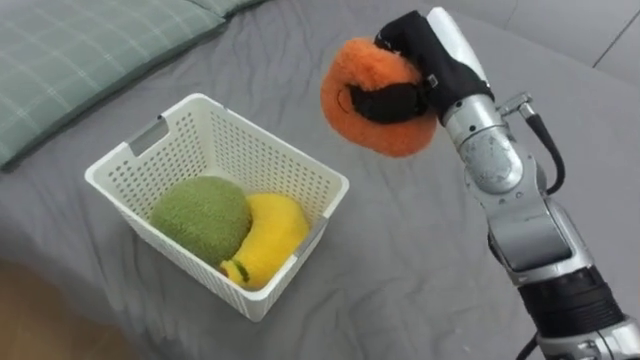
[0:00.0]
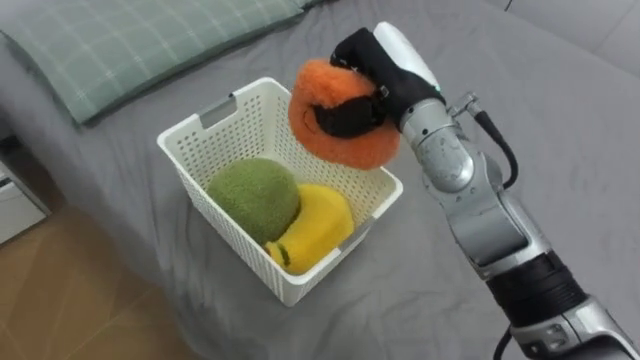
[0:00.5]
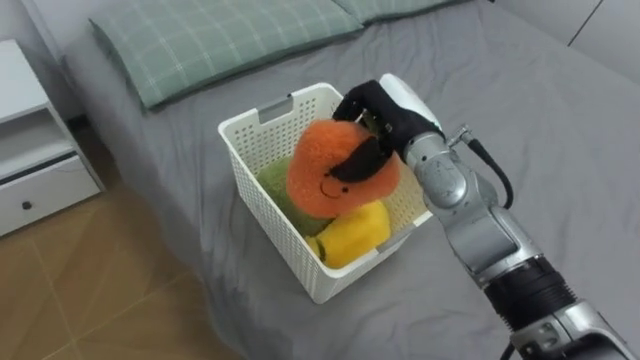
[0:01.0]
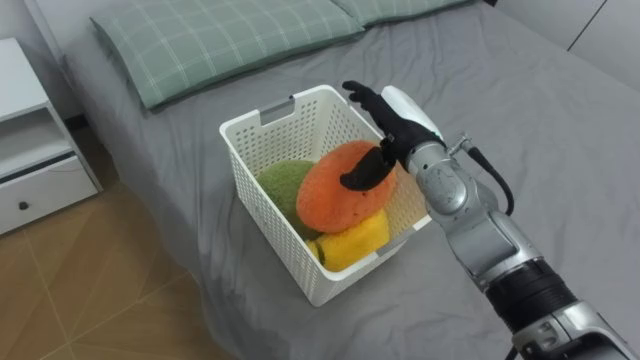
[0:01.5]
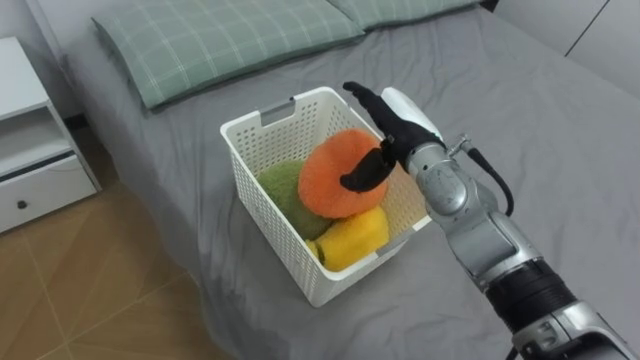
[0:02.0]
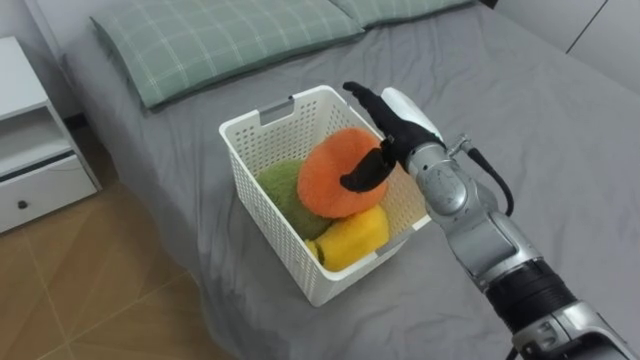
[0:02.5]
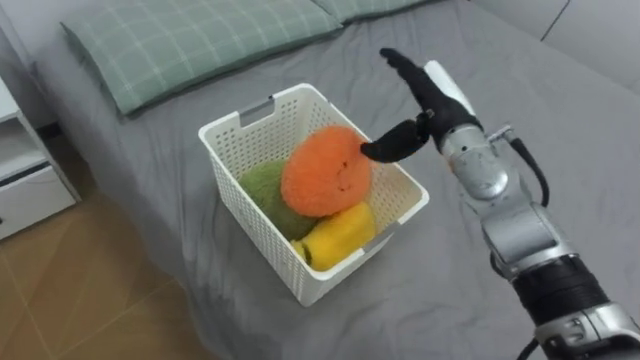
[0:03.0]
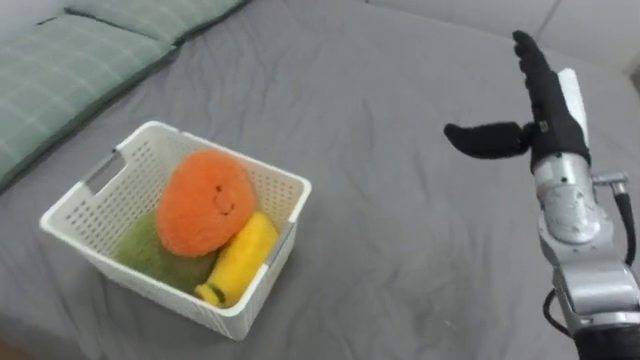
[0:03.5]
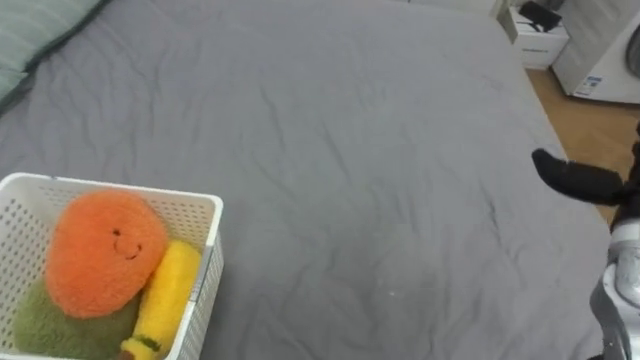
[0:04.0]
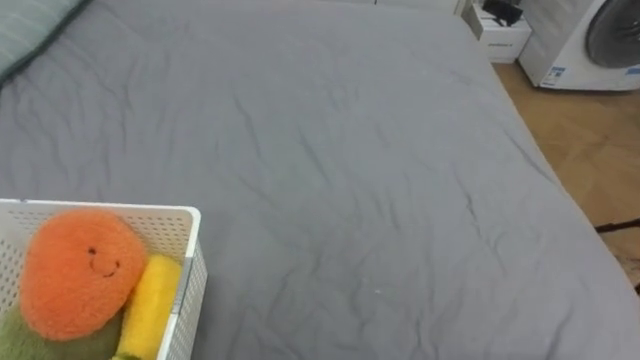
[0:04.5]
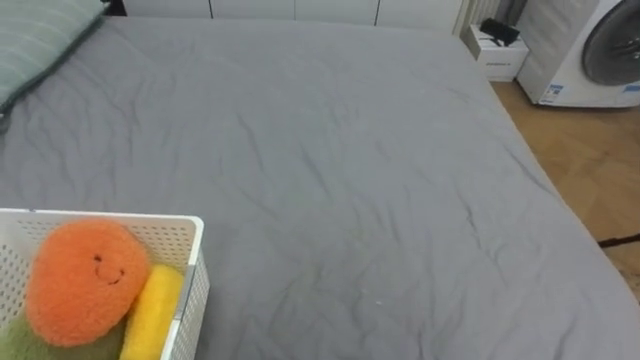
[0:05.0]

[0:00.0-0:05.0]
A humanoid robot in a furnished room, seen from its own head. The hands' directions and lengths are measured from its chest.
Task of the whole recording: Put the toys on the bed into the basket on the left.
0:00.0 to 0:02.5: The right hand shifts roughly 10 cm downward, and opens its fingers.

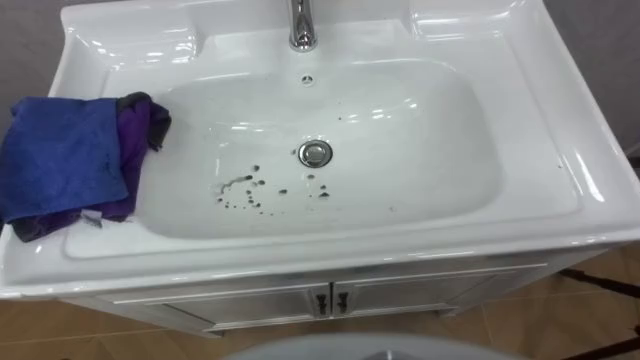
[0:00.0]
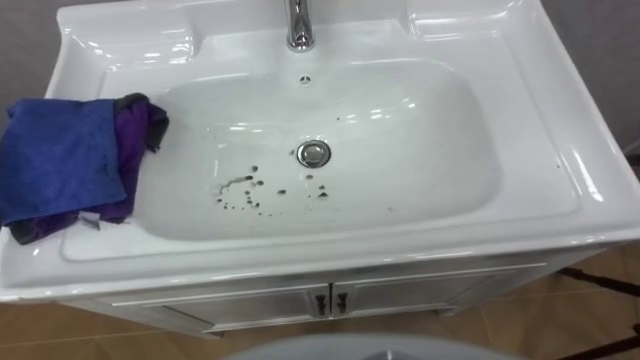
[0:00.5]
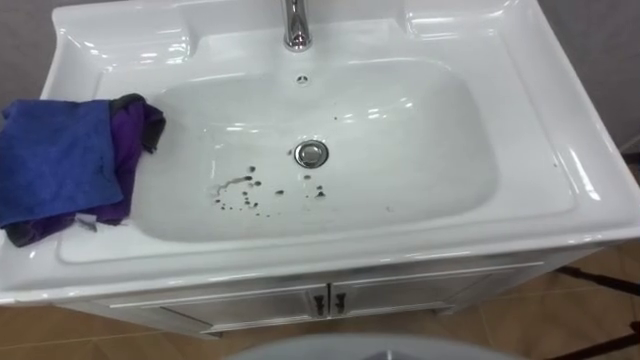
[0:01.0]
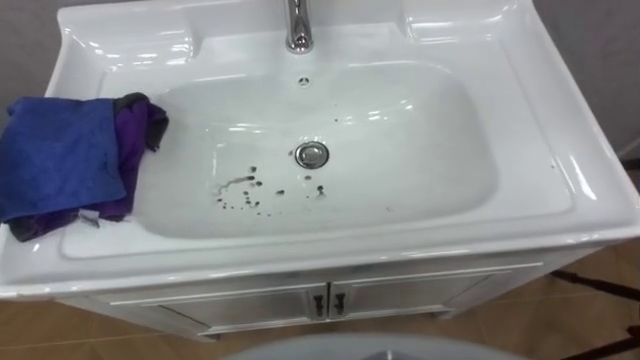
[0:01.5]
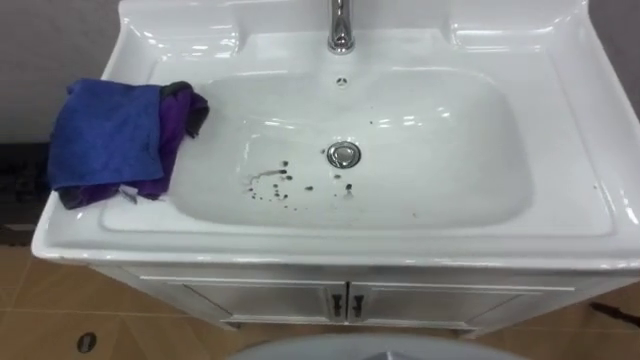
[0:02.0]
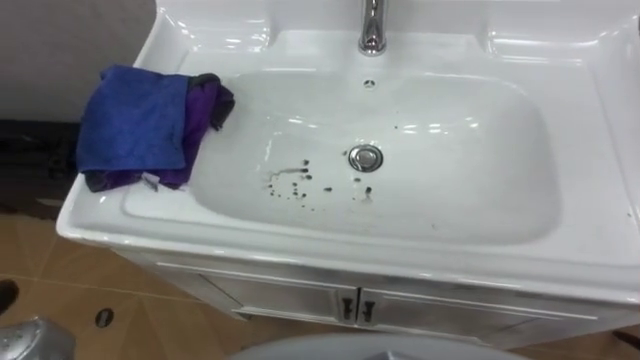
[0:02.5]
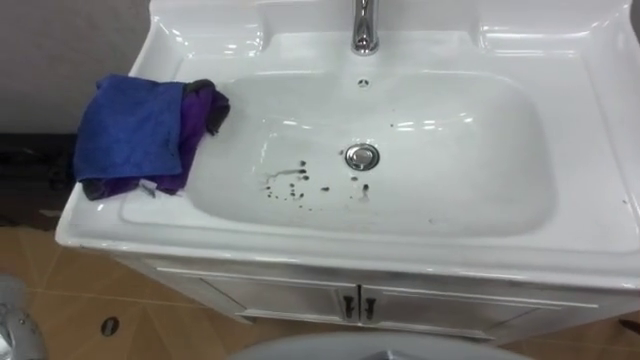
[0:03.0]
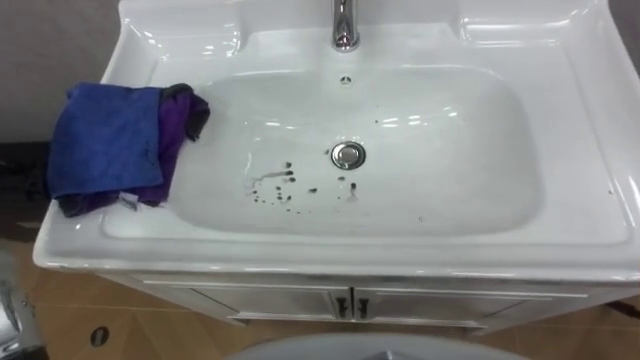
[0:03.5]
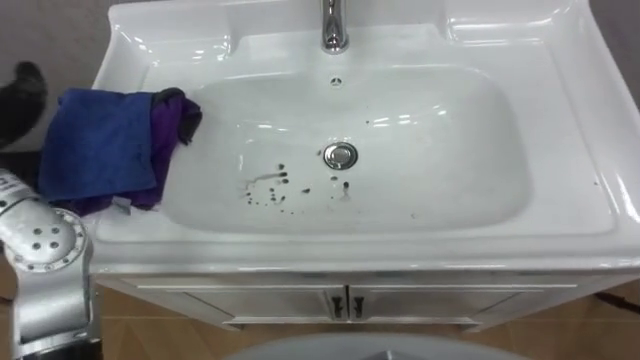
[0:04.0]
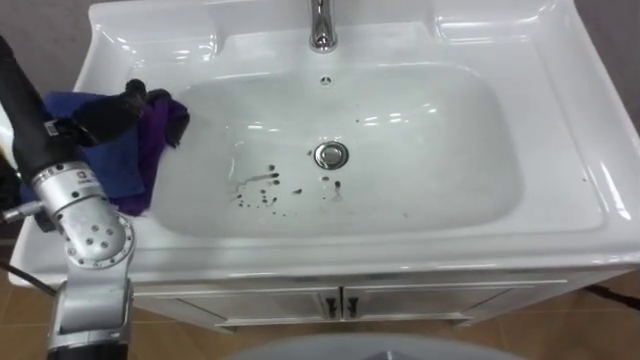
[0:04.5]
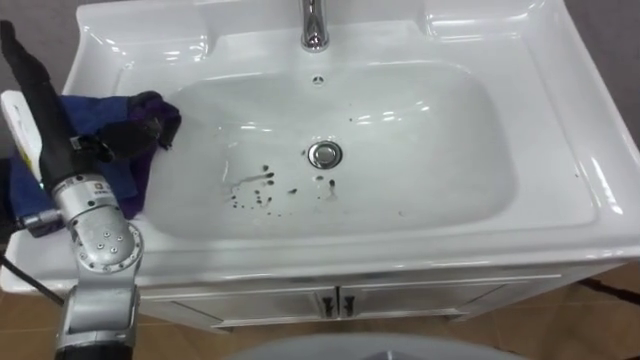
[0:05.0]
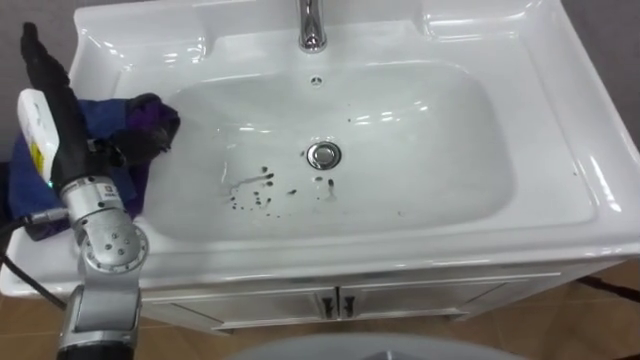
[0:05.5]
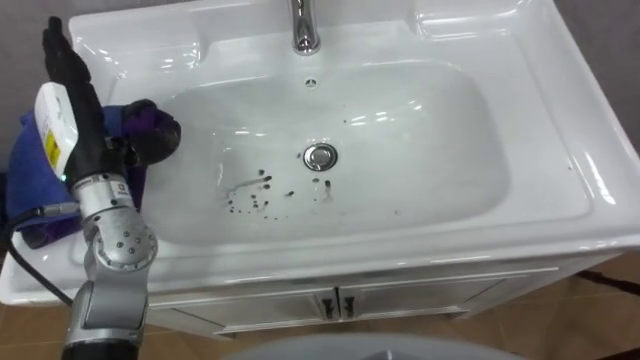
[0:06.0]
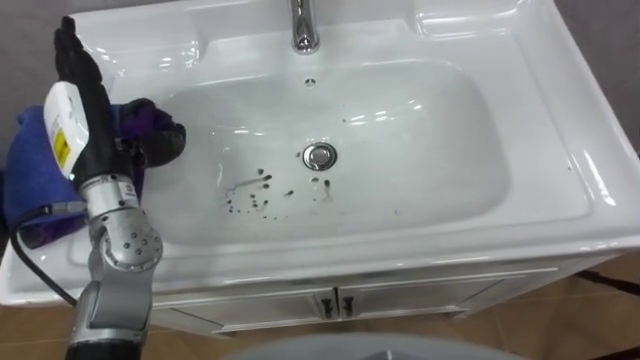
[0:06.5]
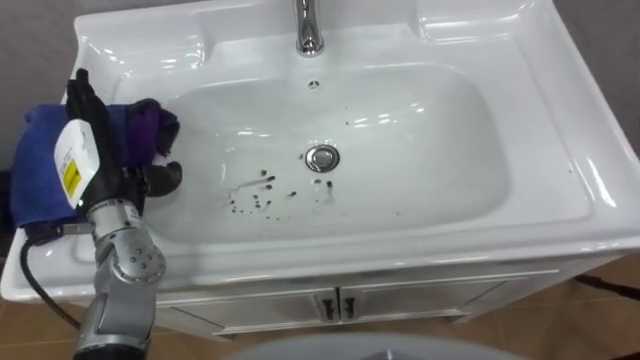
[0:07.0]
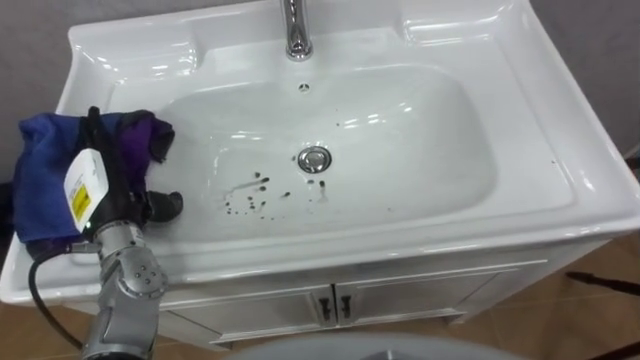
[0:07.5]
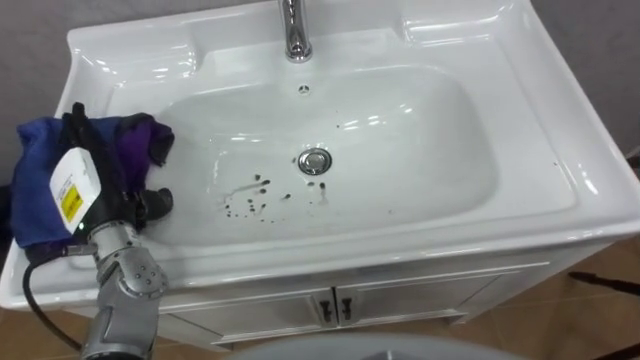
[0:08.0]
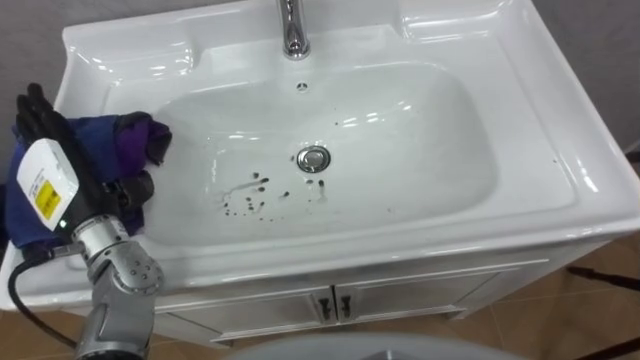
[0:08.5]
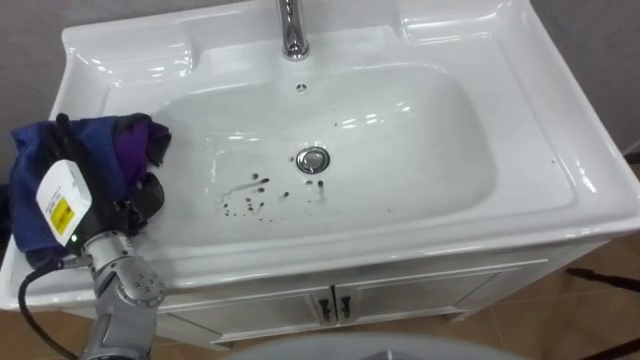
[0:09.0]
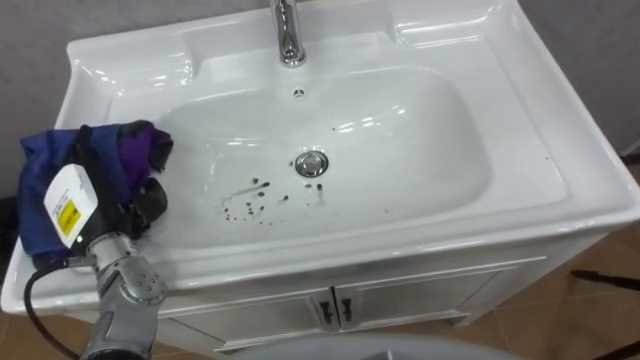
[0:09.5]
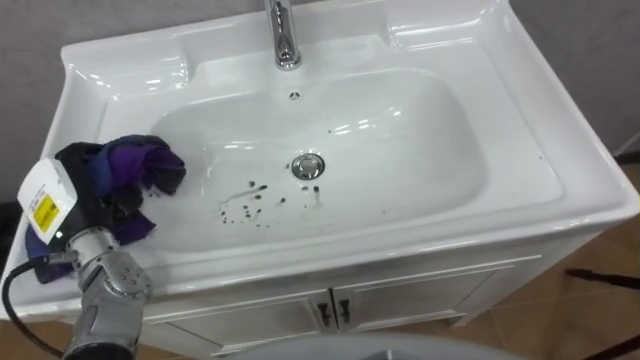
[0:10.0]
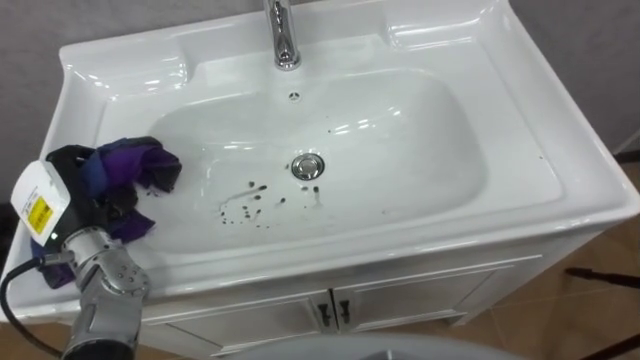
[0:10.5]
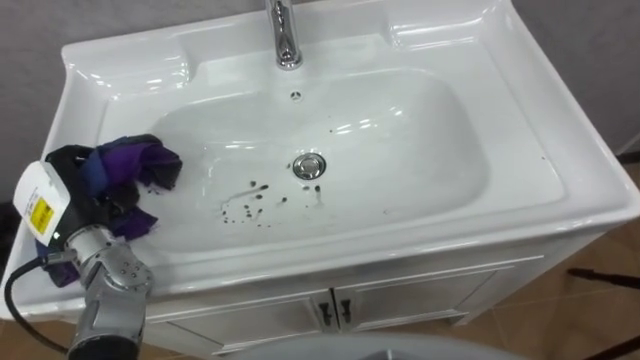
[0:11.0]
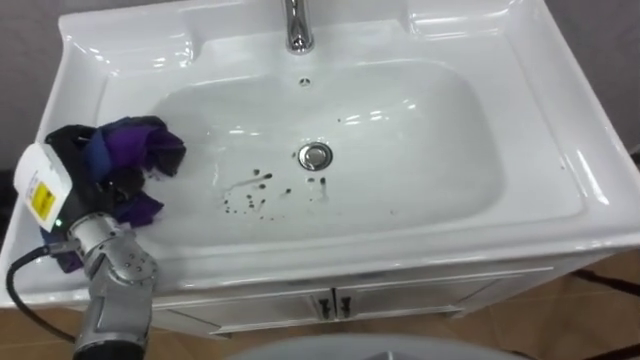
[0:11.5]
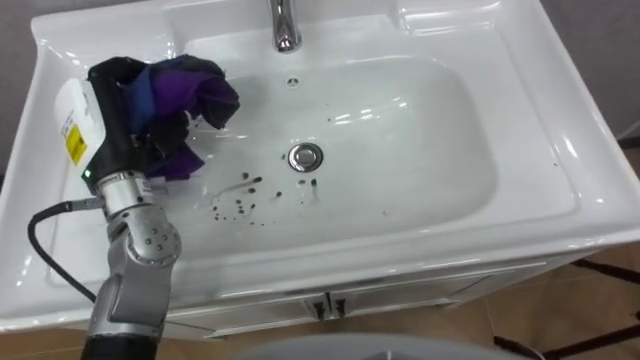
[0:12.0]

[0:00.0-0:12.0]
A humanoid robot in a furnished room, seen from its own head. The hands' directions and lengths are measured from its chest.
Task of the whole recording: Use the cloth on the right to wipe away the black stain in the sink.
0:06.0 to 0:08.0: The left hand heads downward, covering approximately 10 cm.
0:08.0 to 0:10.0: The left hand closes.
0:10.0 to 0:12.0: The left hand heads upward, to the right and forward, covering about 15 cm.

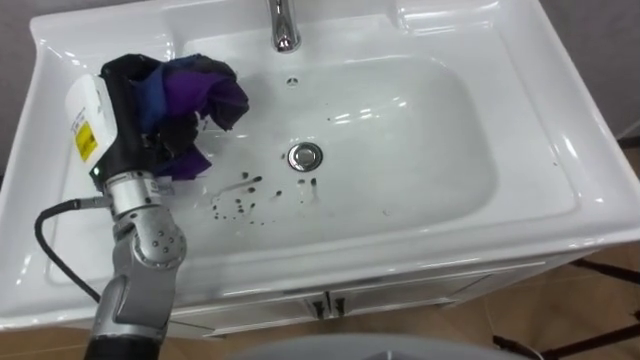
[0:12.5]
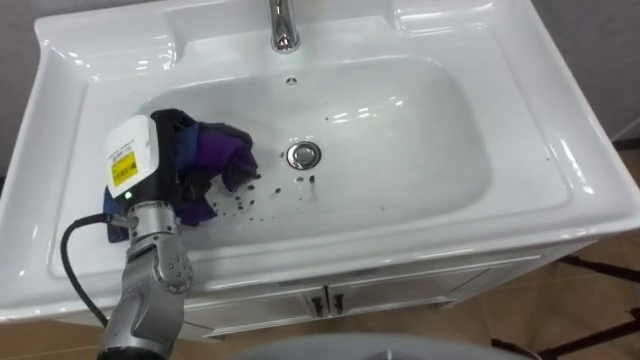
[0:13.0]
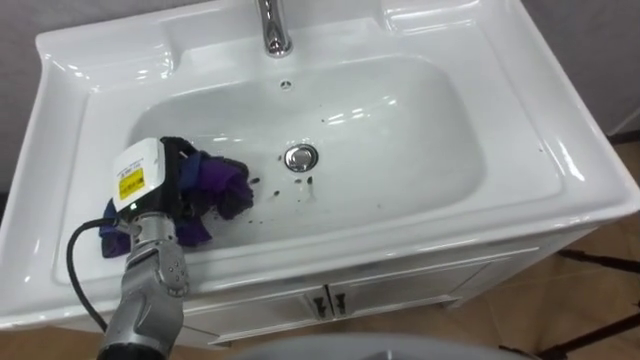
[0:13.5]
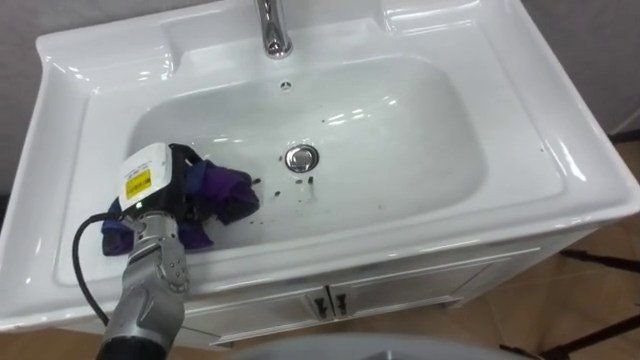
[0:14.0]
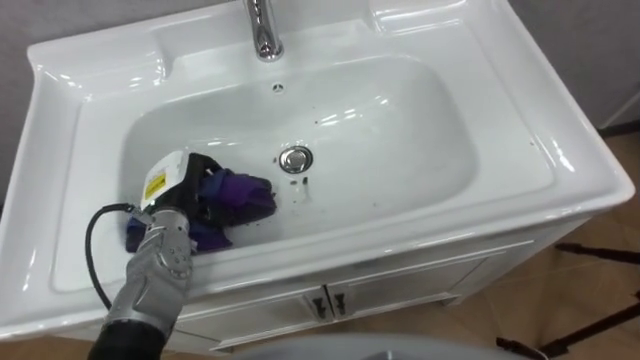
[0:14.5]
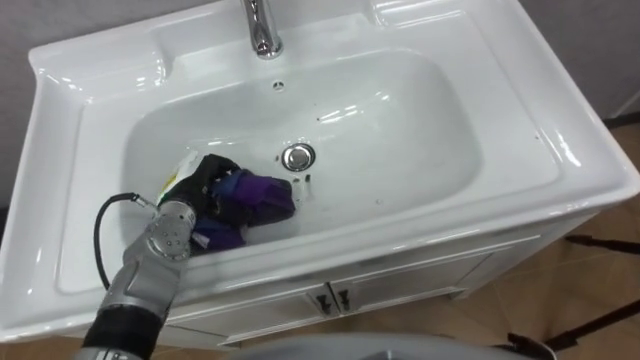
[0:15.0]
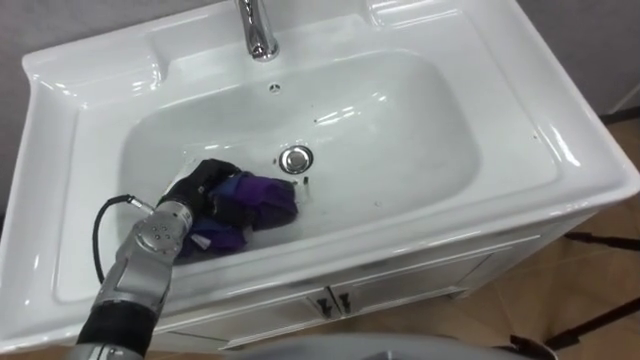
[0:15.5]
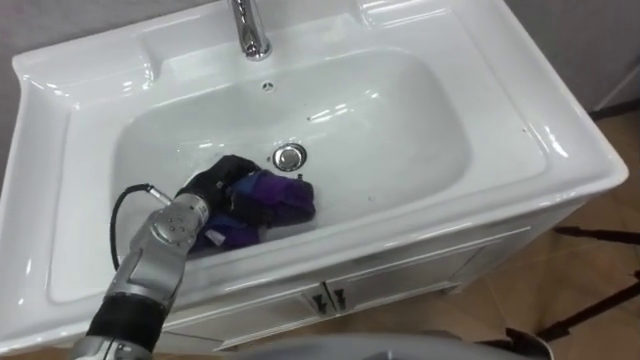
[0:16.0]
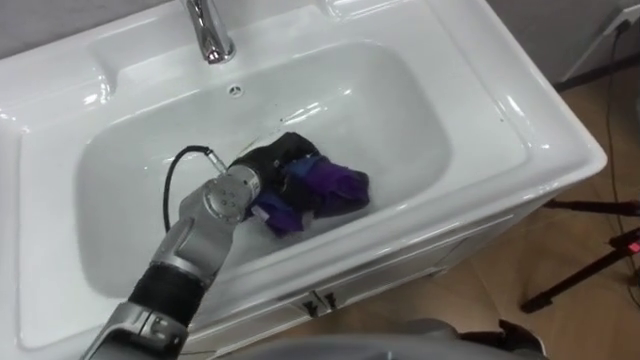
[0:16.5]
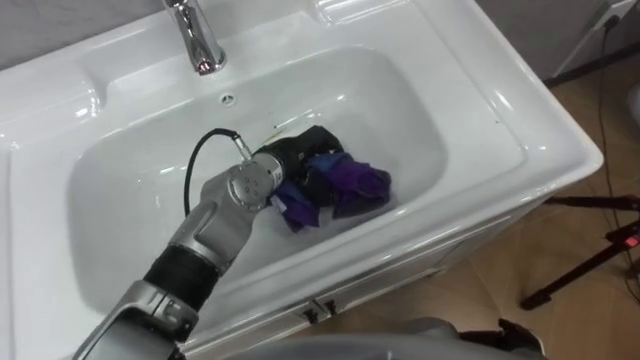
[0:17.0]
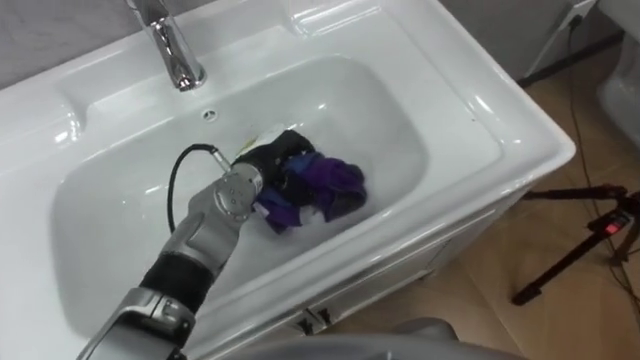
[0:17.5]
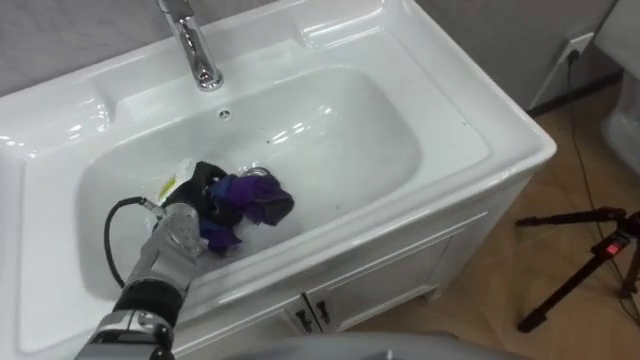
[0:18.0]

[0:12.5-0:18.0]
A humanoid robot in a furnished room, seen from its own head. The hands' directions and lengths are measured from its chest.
Task of the whole recording: Use the cloth on the right to wipe away the black stain in the sink.
0:12.5 to 0:14.5: The left hand travels downward by roughly 15 cm.
0:16.0 to 0:18.0: The left hand goes to the right and returns, about 10 cm each way.
